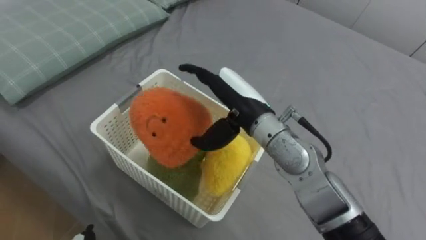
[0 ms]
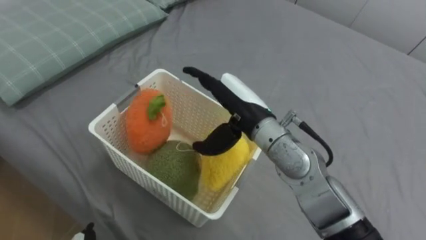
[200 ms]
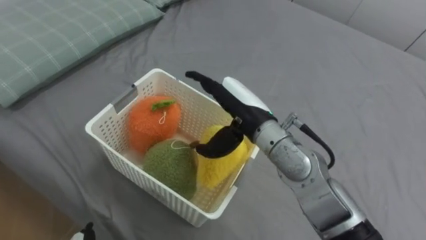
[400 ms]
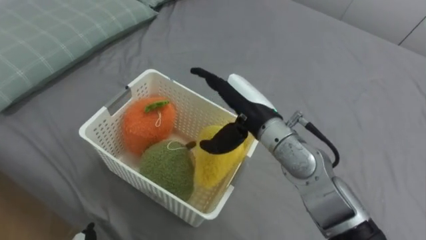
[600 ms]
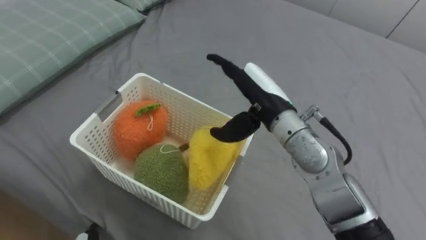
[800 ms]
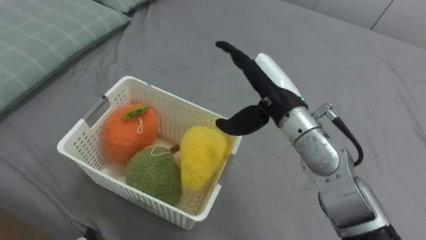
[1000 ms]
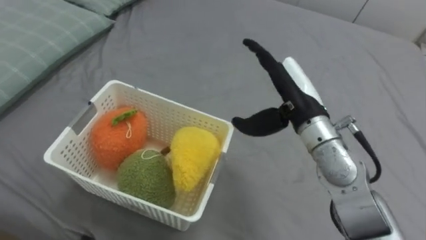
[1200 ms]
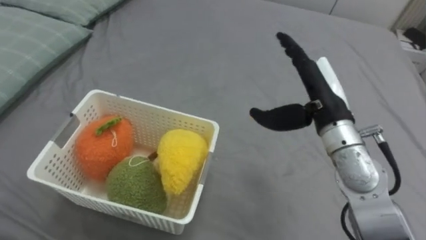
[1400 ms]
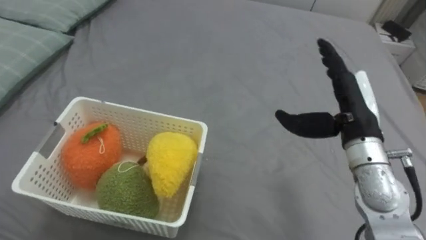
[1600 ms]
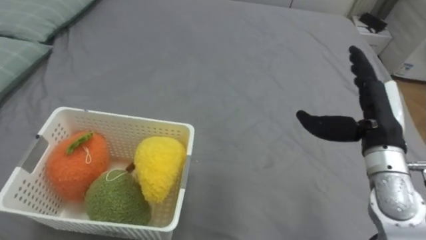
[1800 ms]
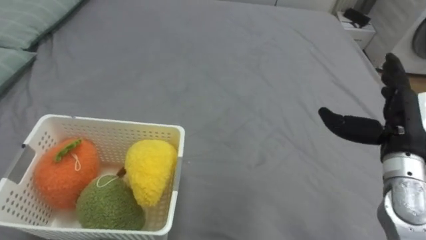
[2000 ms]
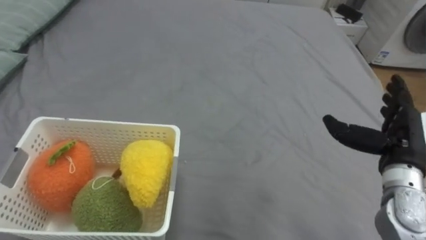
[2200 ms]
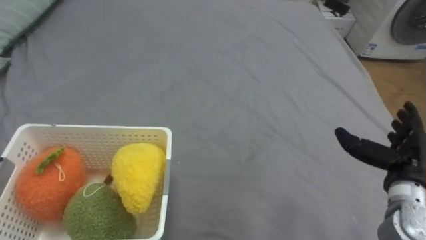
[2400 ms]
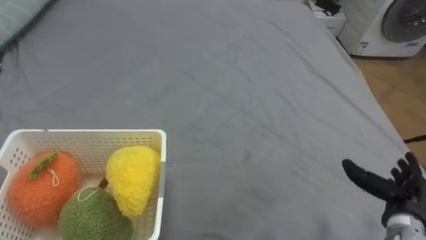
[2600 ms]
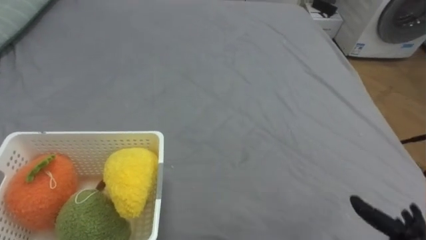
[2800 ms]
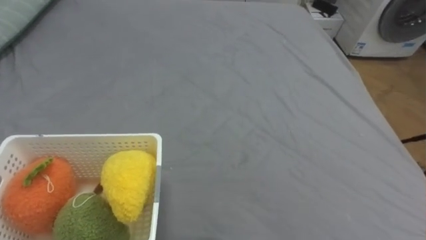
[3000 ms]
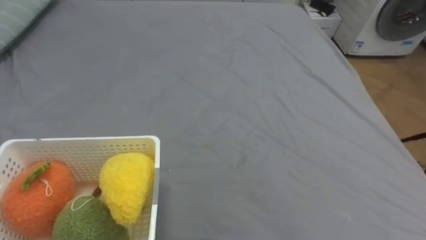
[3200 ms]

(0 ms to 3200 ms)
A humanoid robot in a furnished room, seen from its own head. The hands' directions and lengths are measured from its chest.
Task of the whole recording: Put the toys on the bed into the basket on the left.
0 ms - 1600 ms: The right hand heads to the right, covering about 20 cm.

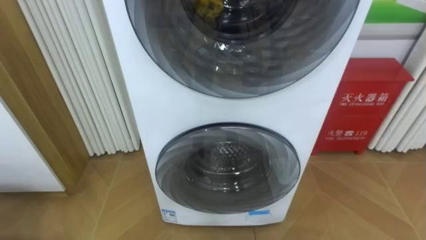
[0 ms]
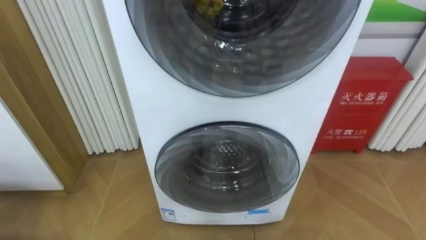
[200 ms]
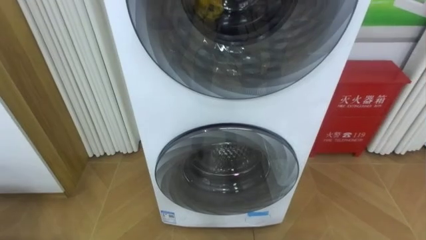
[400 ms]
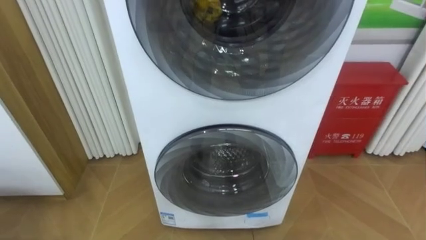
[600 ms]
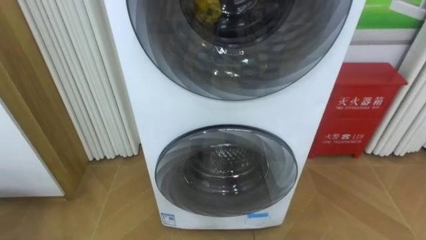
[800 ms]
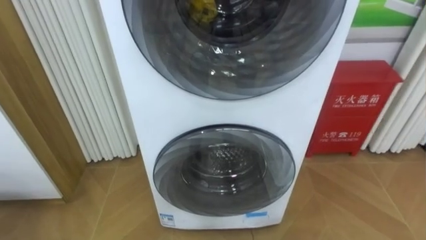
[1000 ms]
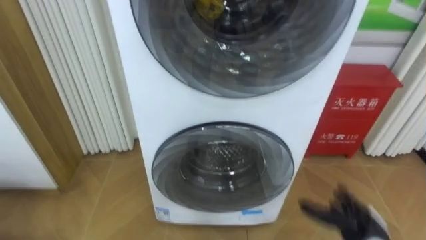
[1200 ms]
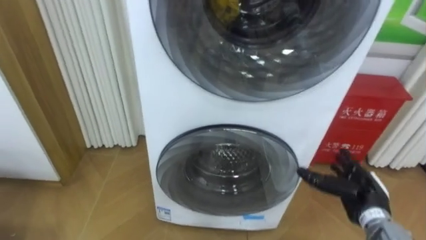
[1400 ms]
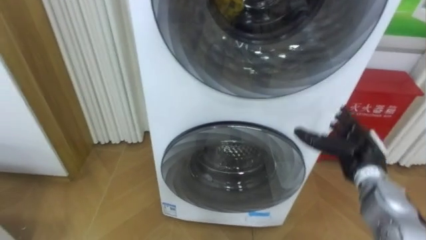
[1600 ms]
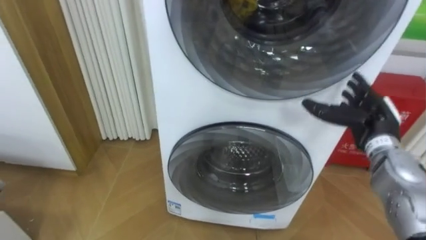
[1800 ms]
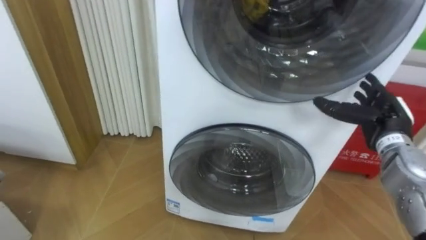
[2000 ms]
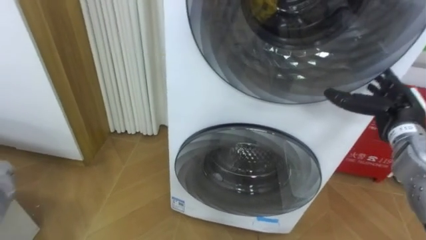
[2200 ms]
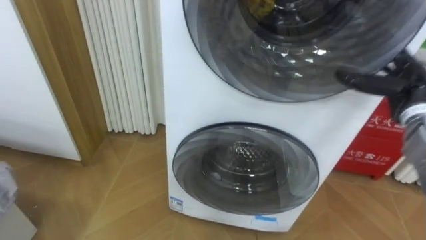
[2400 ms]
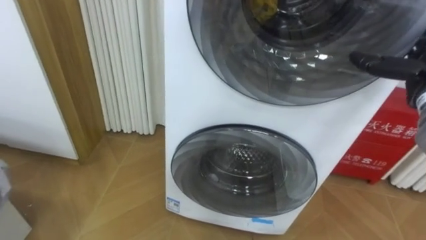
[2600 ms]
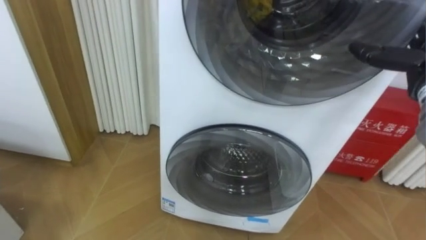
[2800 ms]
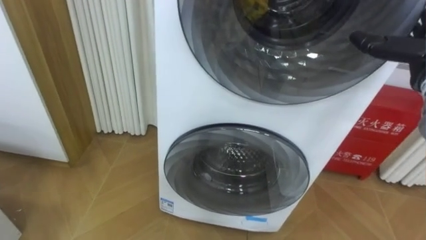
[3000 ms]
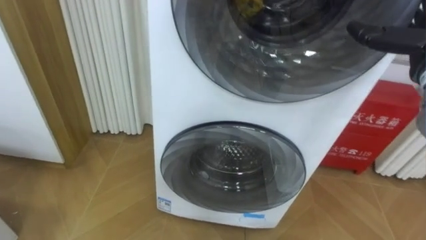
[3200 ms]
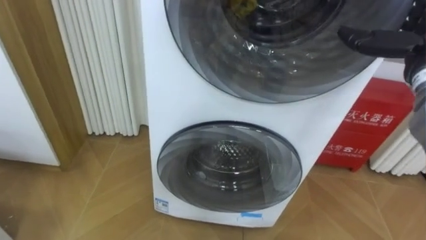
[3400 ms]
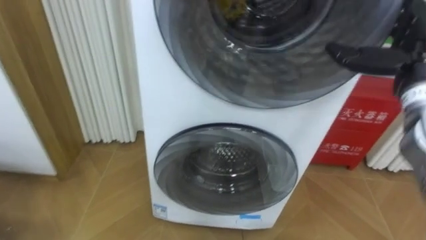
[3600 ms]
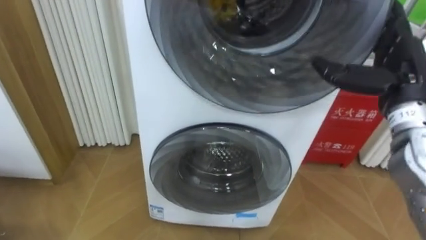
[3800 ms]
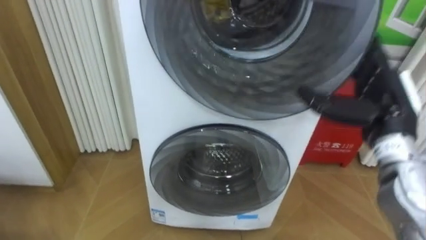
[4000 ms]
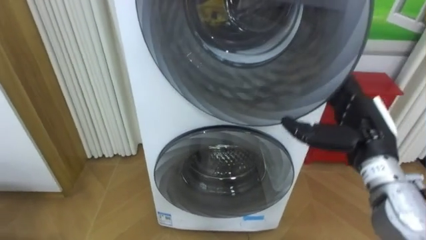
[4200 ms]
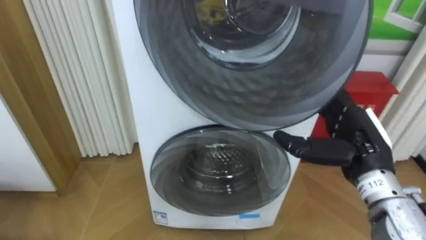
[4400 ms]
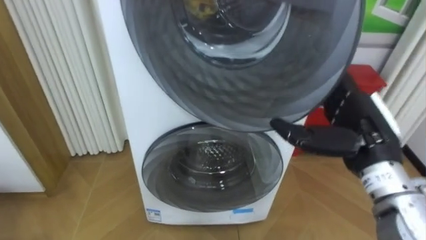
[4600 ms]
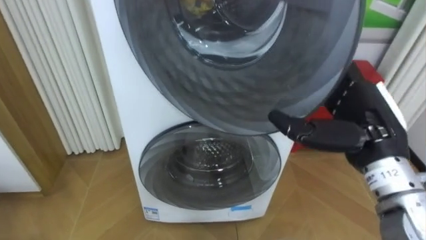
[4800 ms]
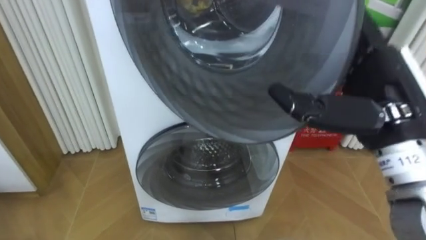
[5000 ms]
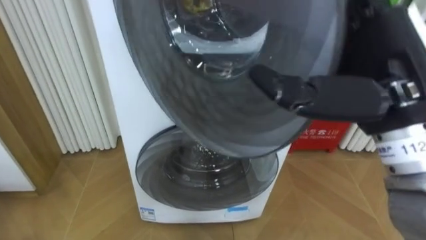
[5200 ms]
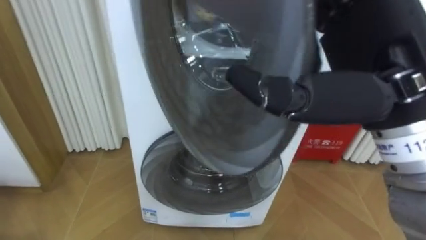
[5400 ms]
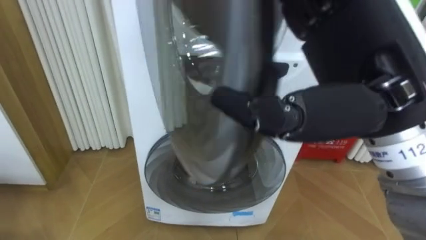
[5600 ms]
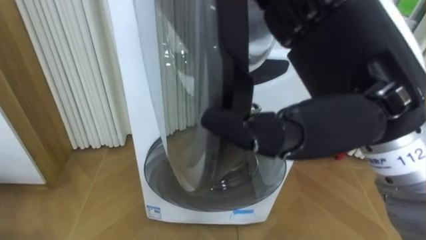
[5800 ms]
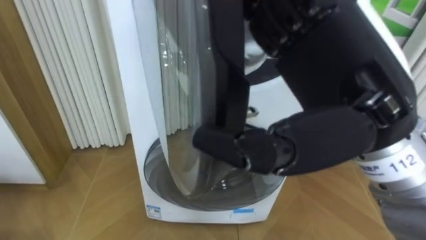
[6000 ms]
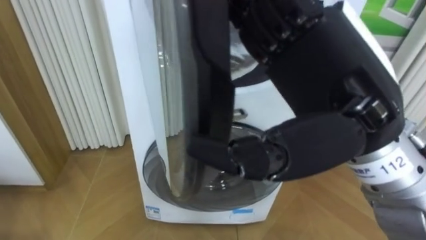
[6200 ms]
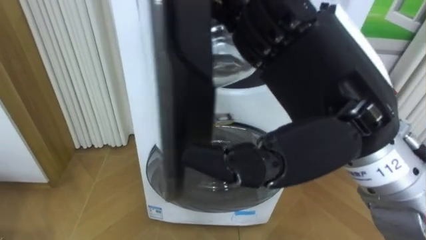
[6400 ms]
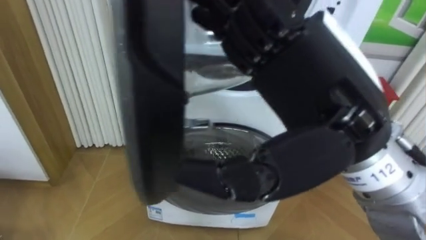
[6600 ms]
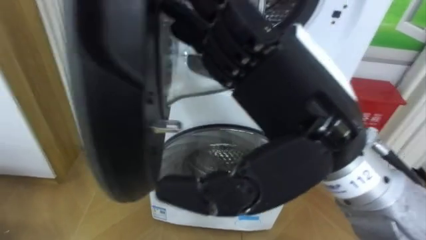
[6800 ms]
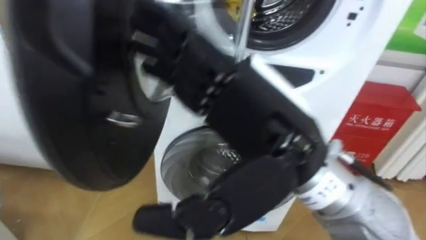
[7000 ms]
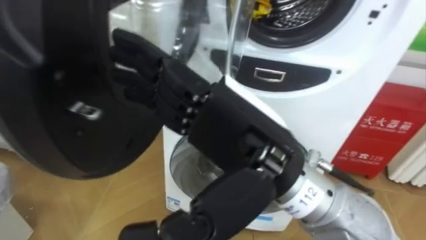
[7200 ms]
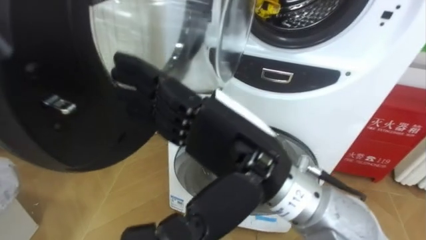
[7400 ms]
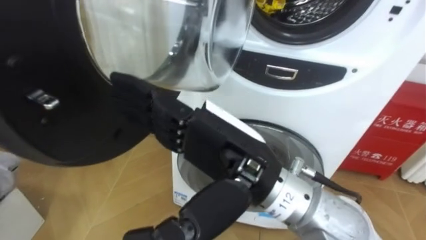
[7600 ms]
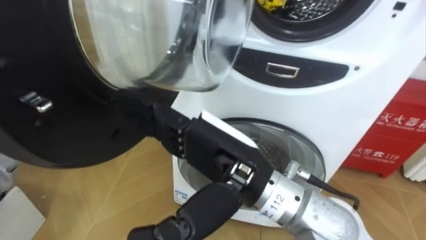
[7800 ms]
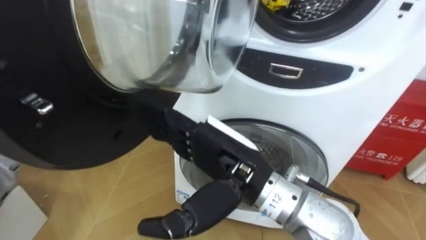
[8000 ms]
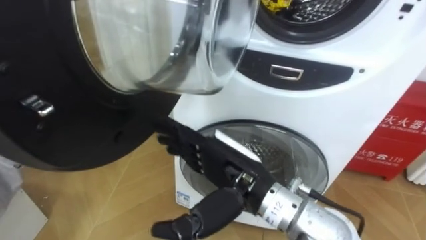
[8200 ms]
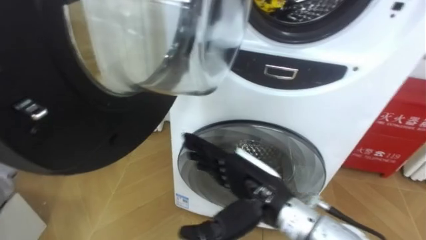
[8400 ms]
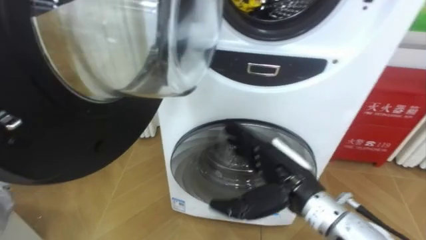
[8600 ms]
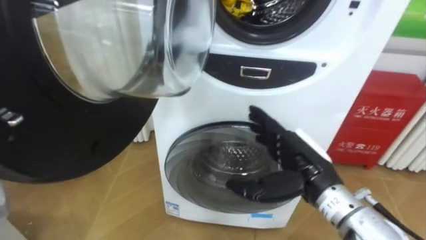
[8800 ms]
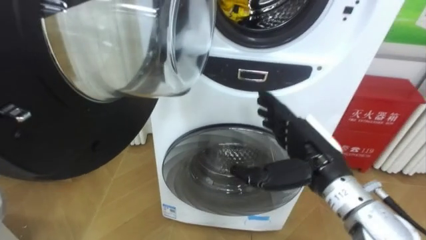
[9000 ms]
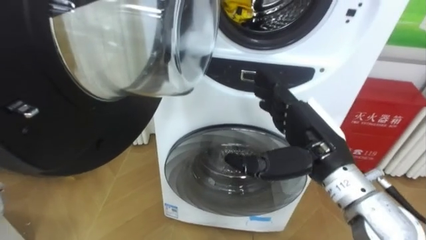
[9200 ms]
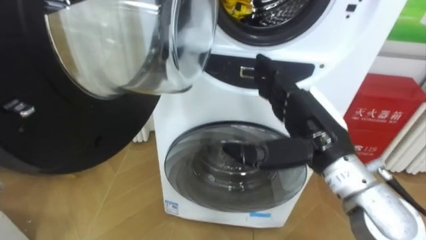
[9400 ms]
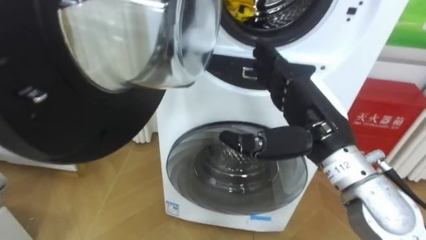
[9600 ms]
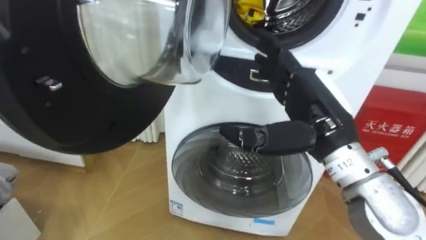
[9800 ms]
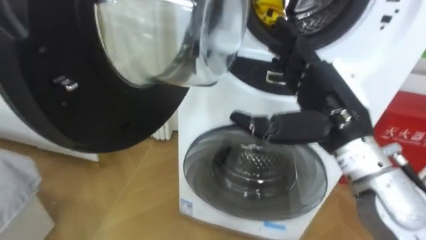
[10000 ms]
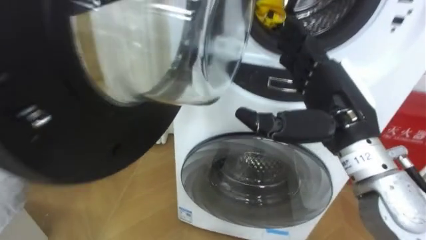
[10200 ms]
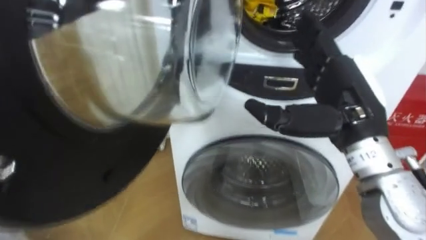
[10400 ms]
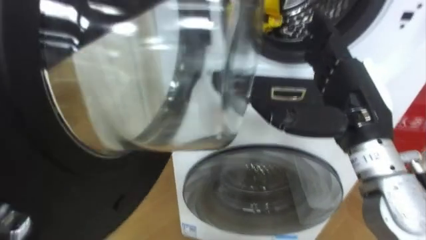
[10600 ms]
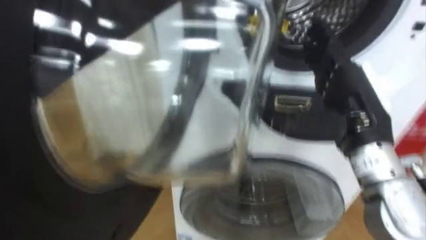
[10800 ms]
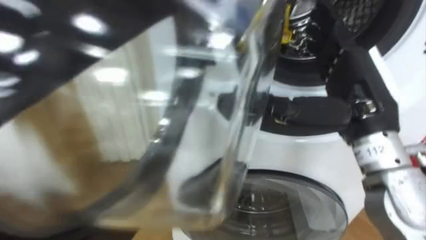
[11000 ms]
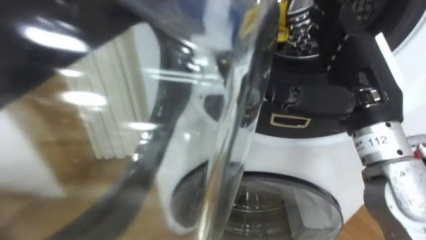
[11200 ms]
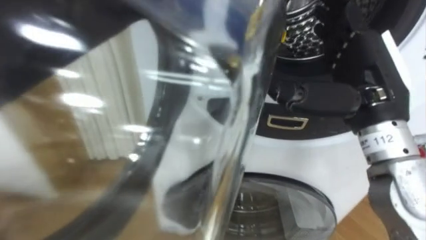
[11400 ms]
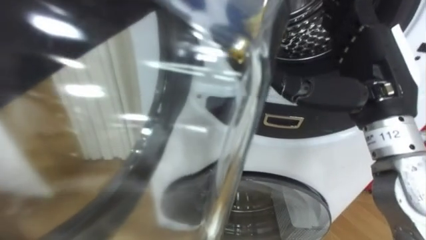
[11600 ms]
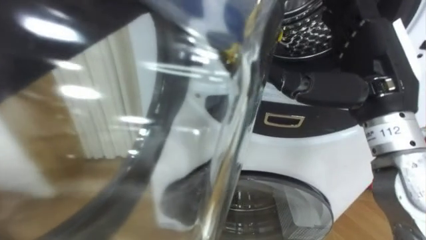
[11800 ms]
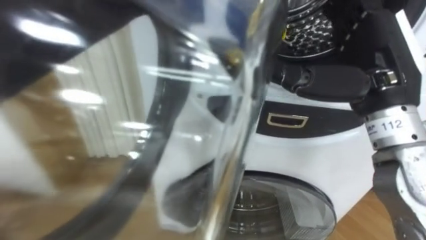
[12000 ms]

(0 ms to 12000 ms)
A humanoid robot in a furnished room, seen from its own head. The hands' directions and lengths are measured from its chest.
Task of the whole recording: Open the washing machine door, take out the yellow clothes, place them in the box on the right, and close the washing machine door.
4400 ms - 6000 ms: The right hand shifts some 25 cm upward, to the left and backward.
6000 ms - 7600 ms: The right hand is displaced to the left and downward by about 15 cm.
7600 ms - 9000 ms: The right hand moves to the right, downward and forward, some 20 cm.
9000 ms - 10400 ms: The right hand travels upward by approximately 10 cm.
10400 ms - 12000 ms: The right hand heads upward, covering roughly 5 cm.

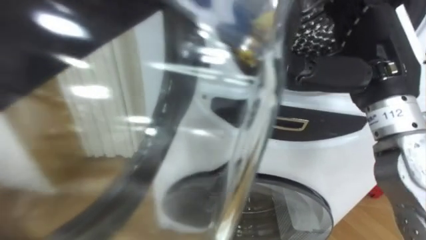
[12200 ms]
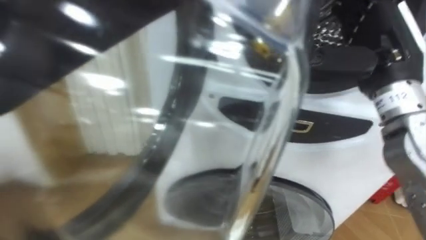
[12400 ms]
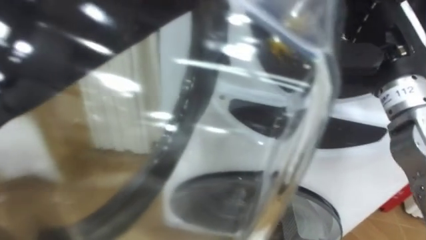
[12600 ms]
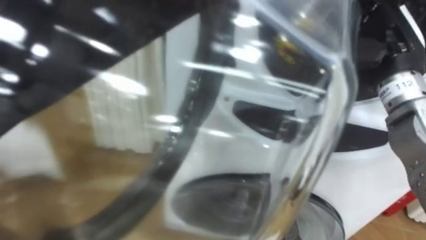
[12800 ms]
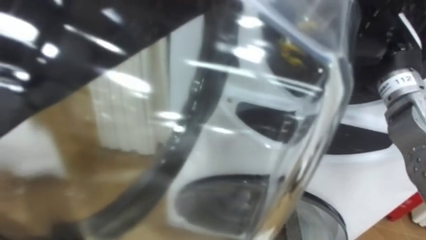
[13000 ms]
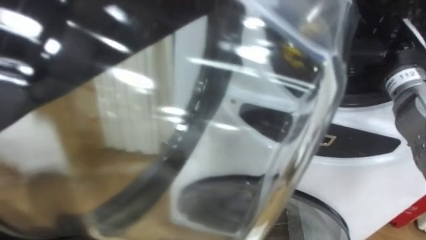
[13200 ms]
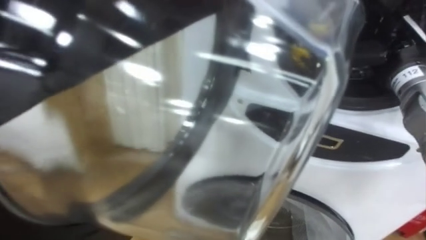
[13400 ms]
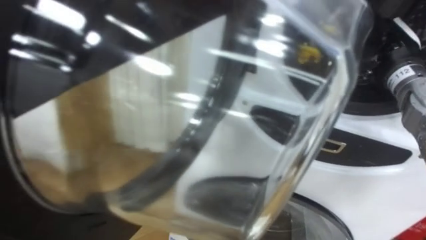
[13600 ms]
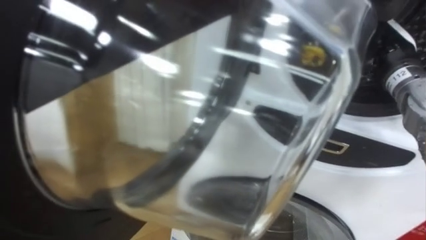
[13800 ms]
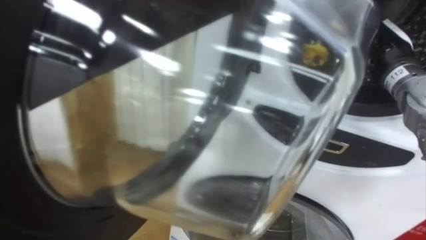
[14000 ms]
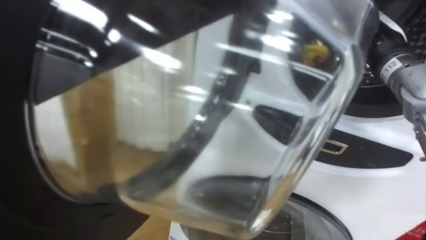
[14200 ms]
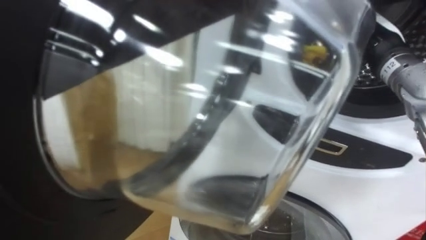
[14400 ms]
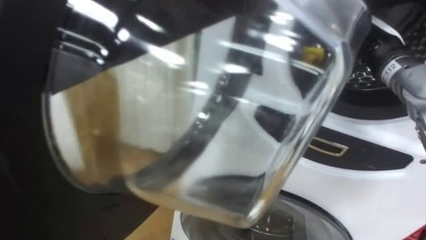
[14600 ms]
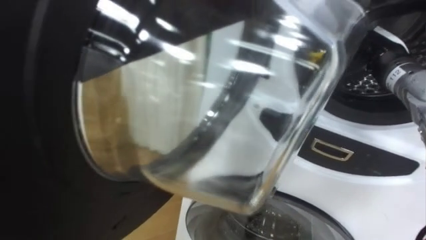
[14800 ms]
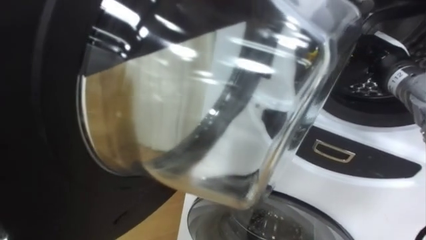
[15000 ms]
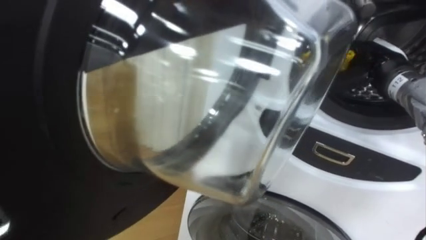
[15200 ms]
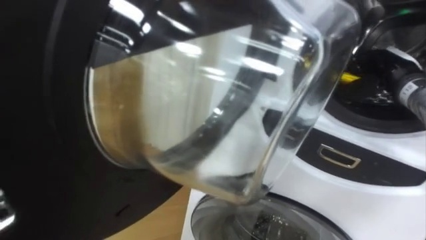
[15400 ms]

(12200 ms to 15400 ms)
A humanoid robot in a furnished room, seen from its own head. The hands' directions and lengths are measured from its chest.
Task of the whole recording: Open the washing machine door, take out the yellow clothes, place them in the box on the right, and close the washing machine door.
12200 ms - 13800 ms: The right hand goes roughly 15 cm forward, to the right and downward.
13800 ms - 15400 ms: The right hand travels downward by approximately 5 cm, and closes up.
